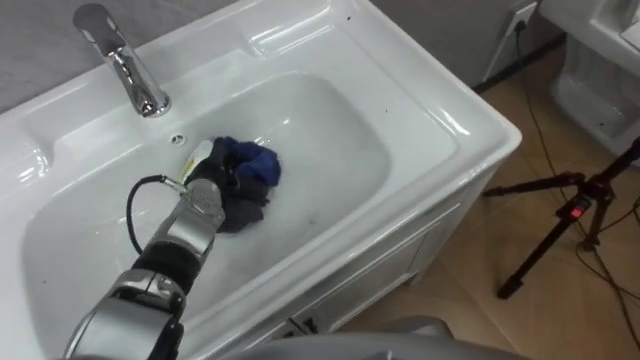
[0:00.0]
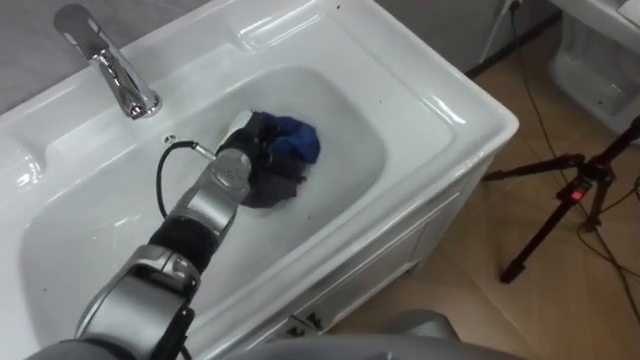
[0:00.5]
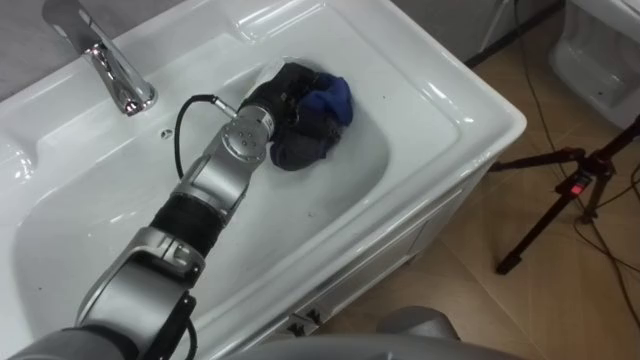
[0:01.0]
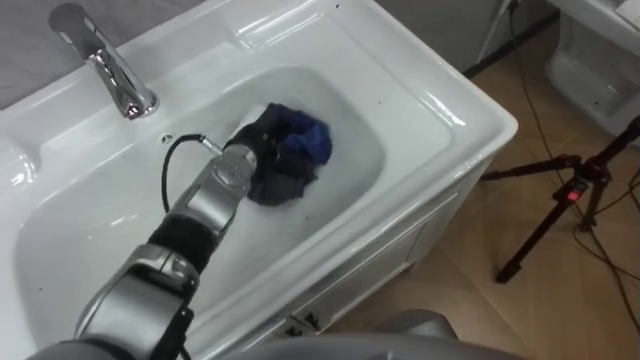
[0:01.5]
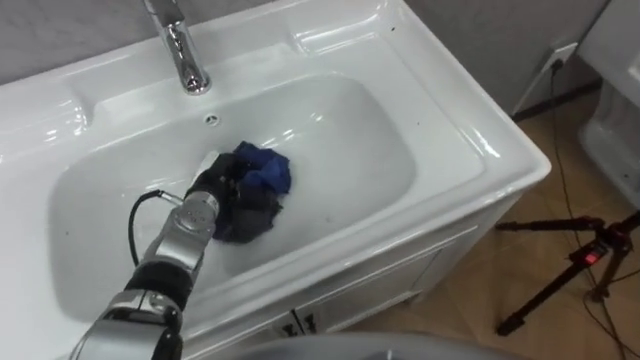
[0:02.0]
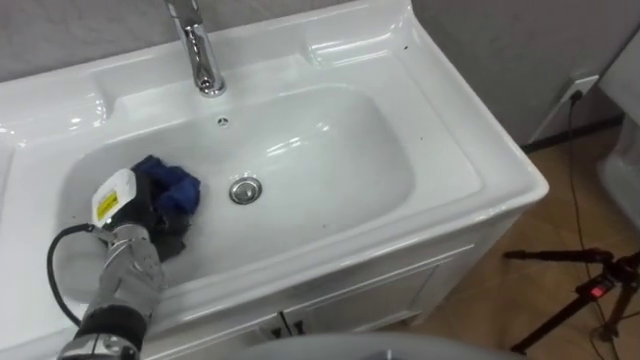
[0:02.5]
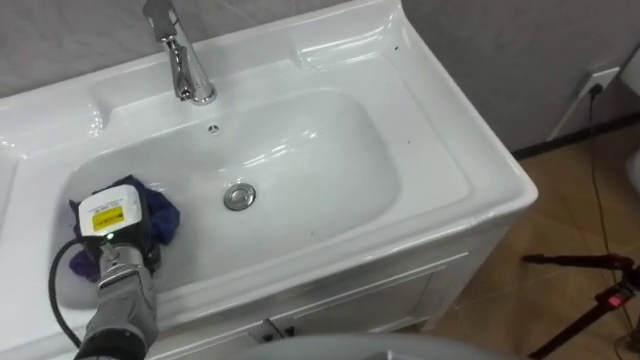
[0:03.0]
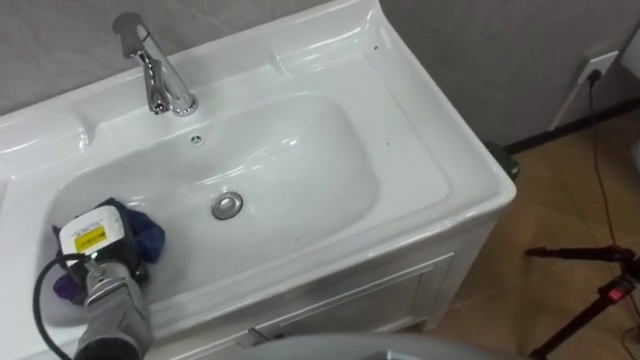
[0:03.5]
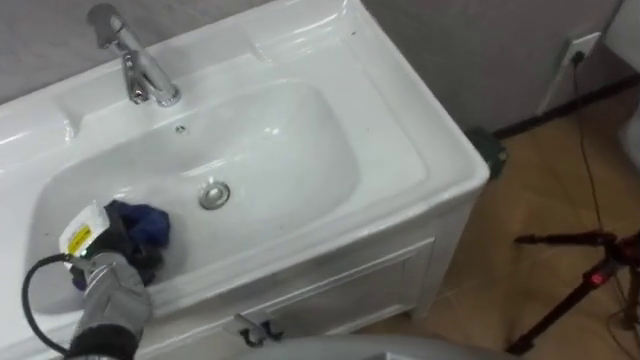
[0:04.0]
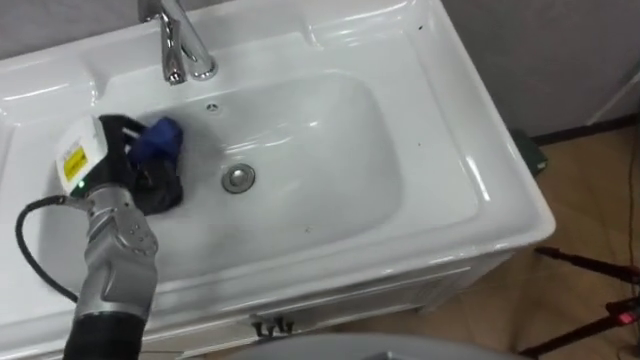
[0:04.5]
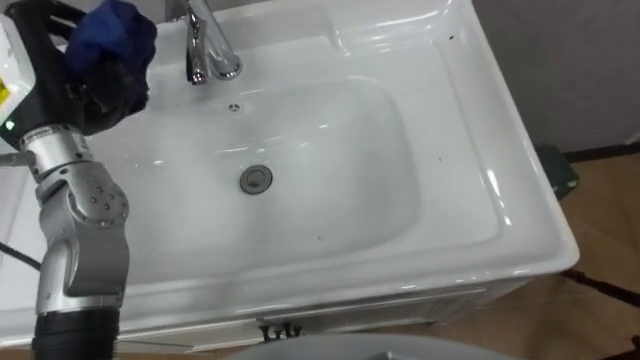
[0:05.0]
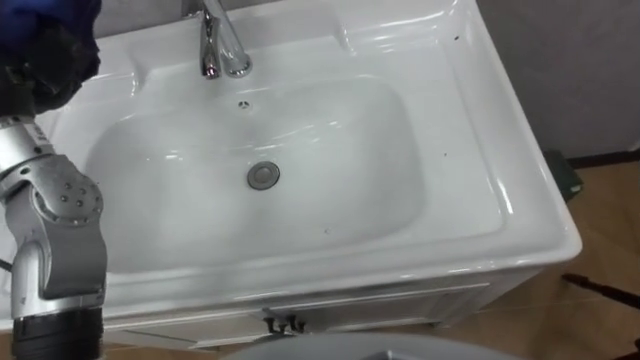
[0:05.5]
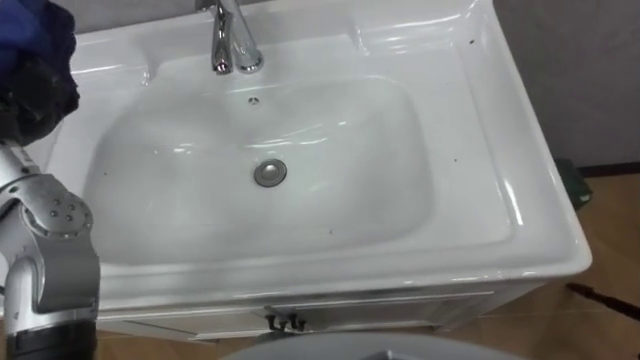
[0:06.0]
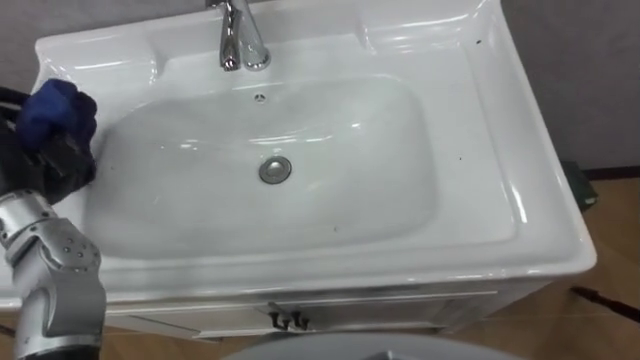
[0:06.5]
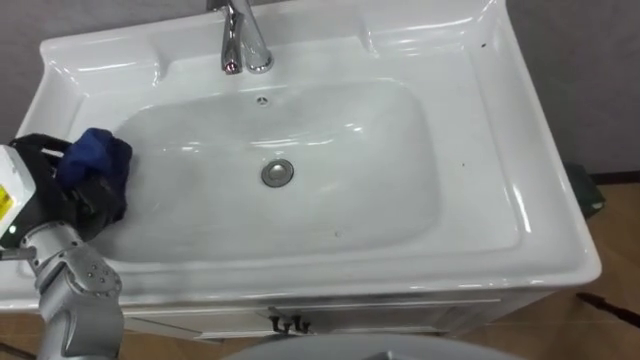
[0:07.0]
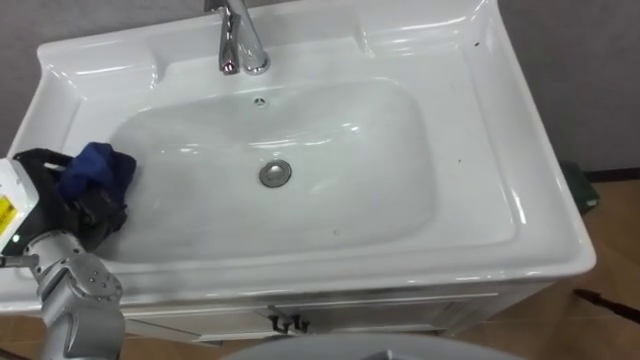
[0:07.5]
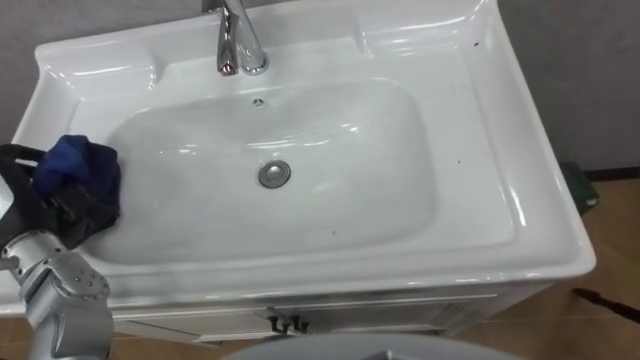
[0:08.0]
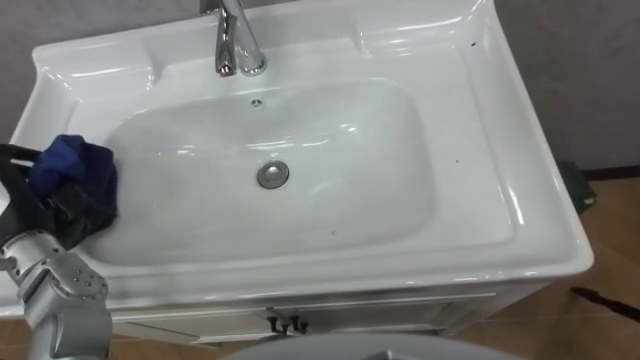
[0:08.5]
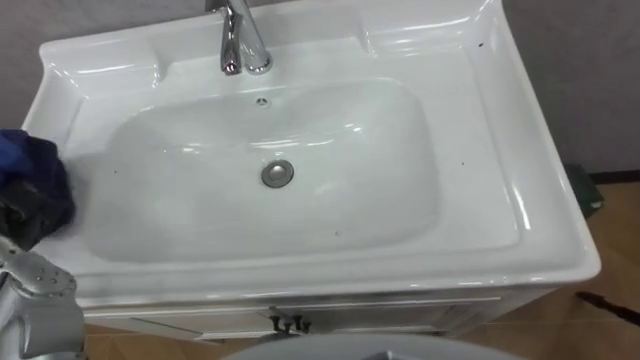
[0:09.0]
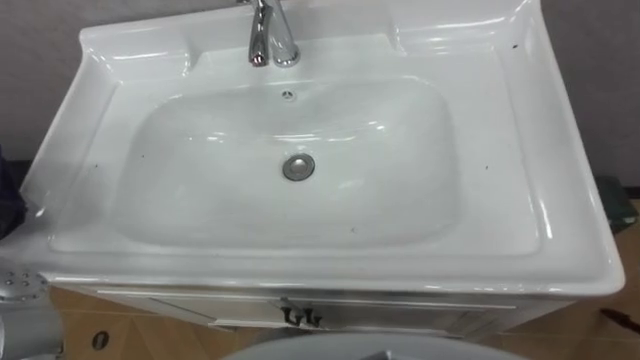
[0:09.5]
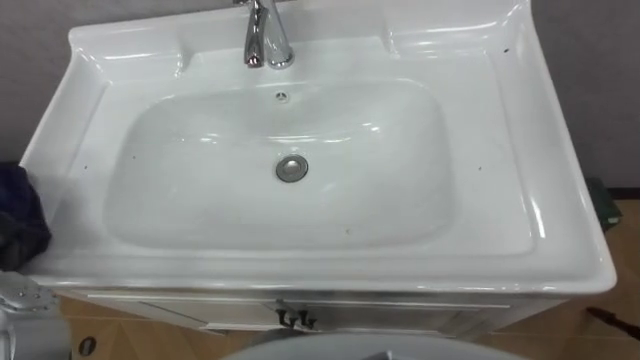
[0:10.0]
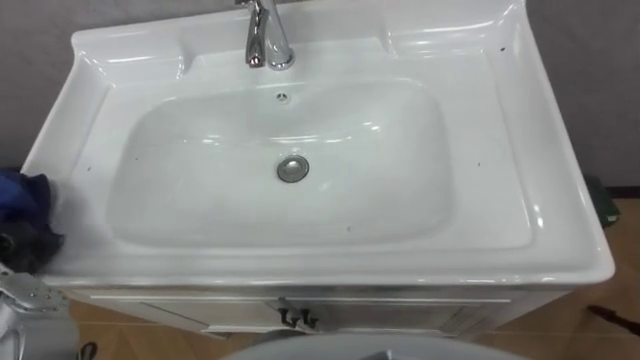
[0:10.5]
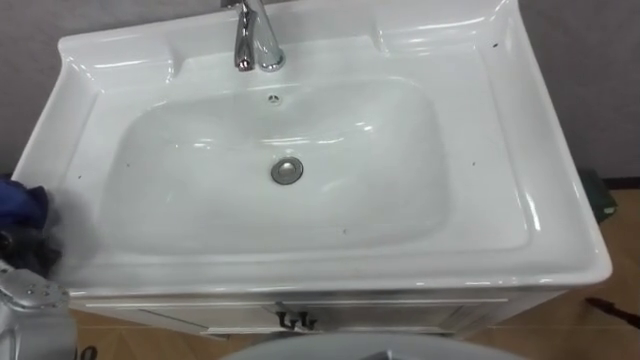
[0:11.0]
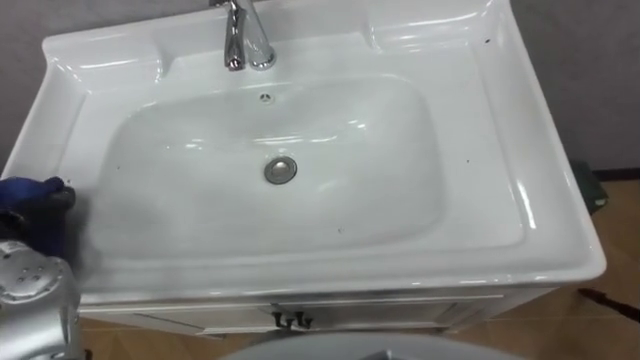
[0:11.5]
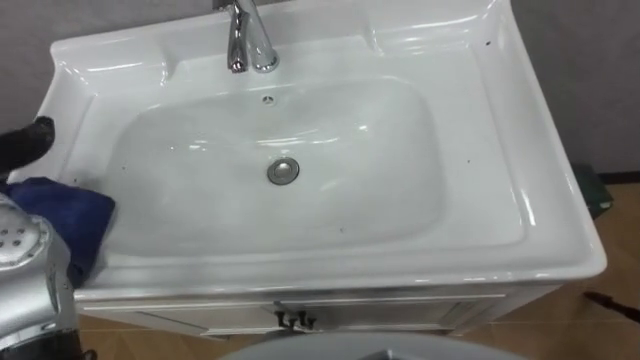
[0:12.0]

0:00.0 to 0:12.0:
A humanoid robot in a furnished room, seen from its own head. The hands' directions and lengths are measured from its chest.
Task of the whole recording: Use the cloth on the right to wipe away the black stain in the sink.
0:00.0 to 0:02.0: The left hand goes upward and returns, some 10 cm each way.
0:02.0 to 0:04.0: The left hand shifts roughly 20 cm to the left and backward.

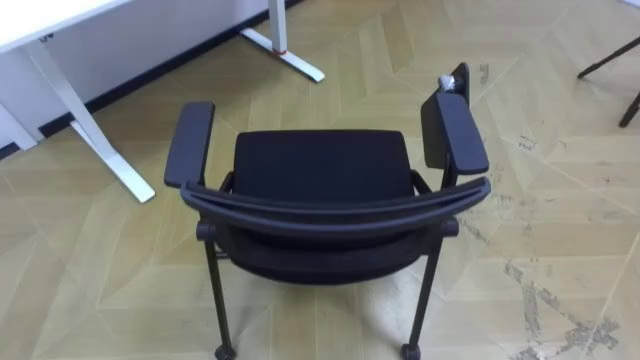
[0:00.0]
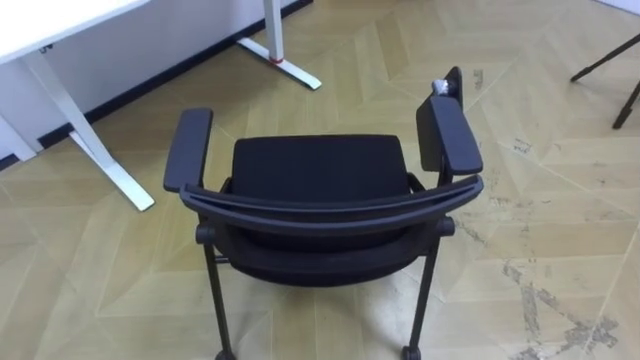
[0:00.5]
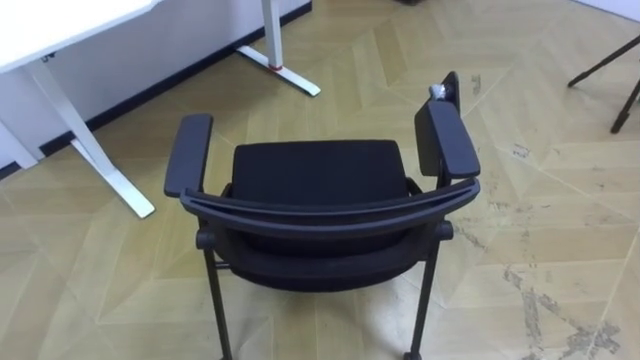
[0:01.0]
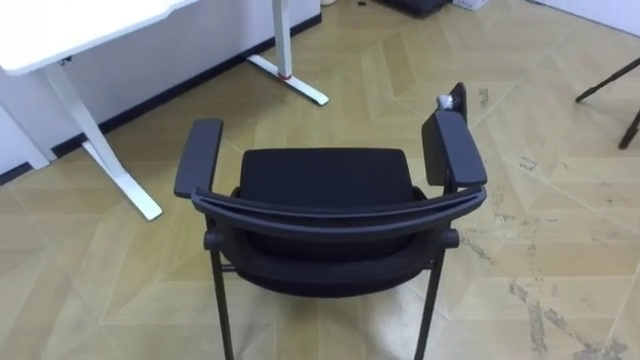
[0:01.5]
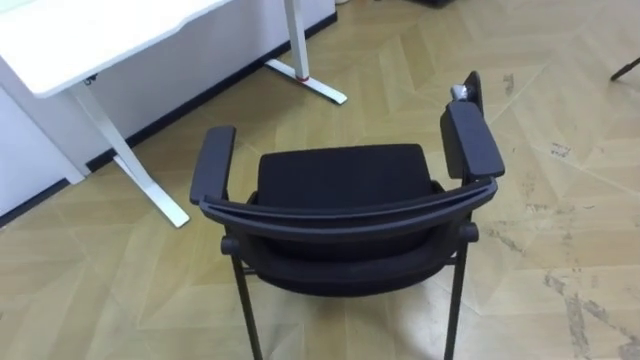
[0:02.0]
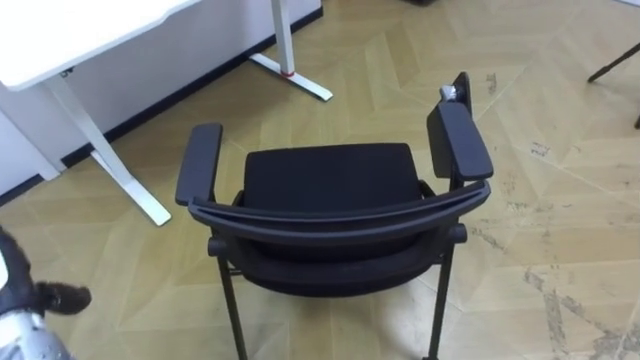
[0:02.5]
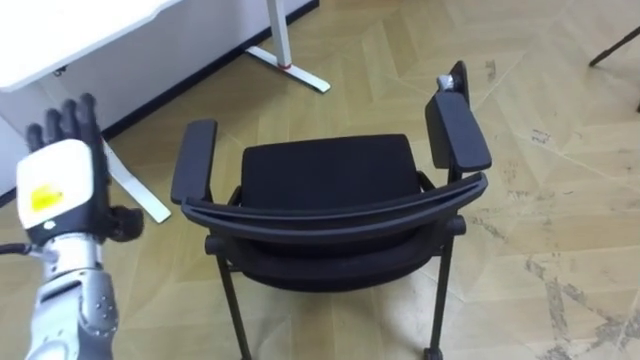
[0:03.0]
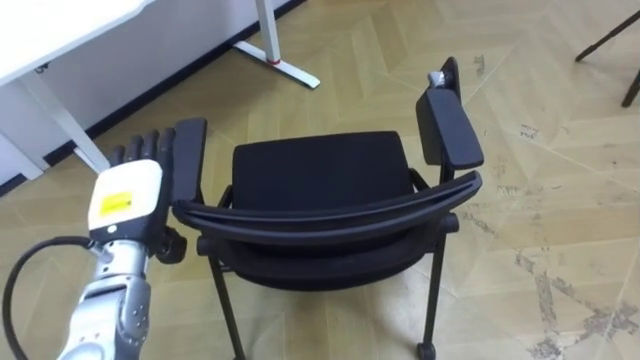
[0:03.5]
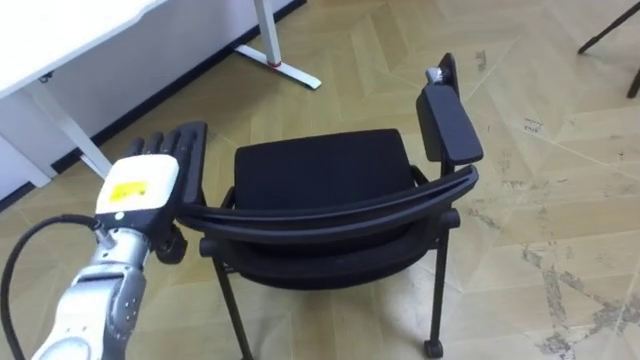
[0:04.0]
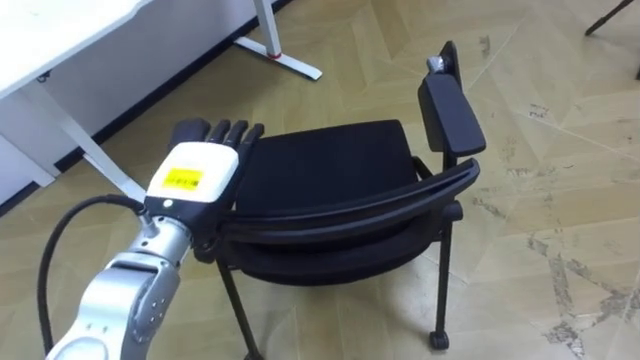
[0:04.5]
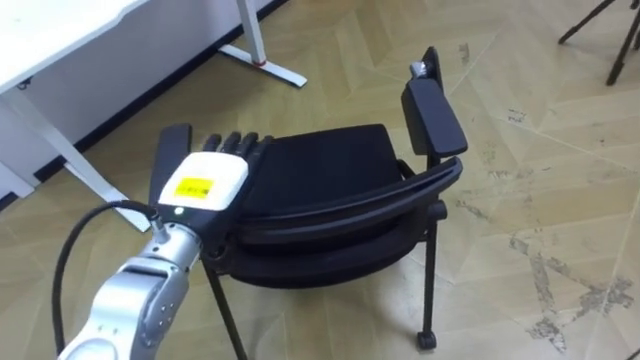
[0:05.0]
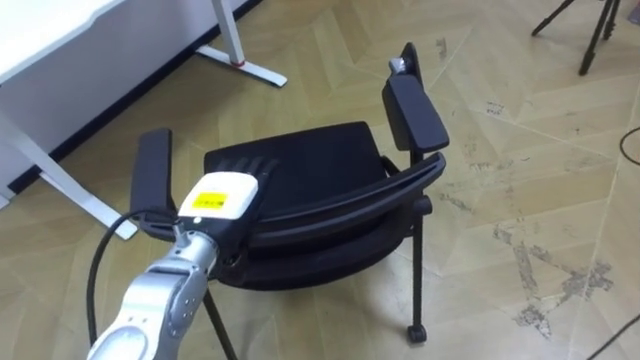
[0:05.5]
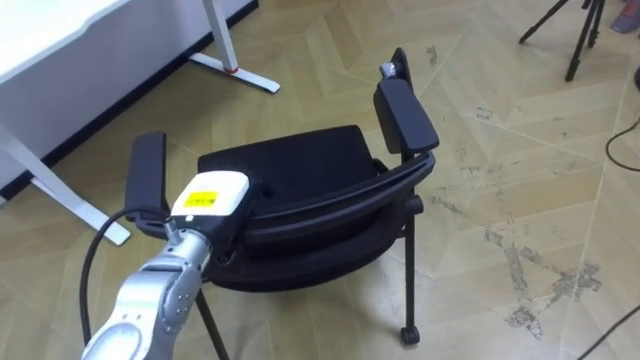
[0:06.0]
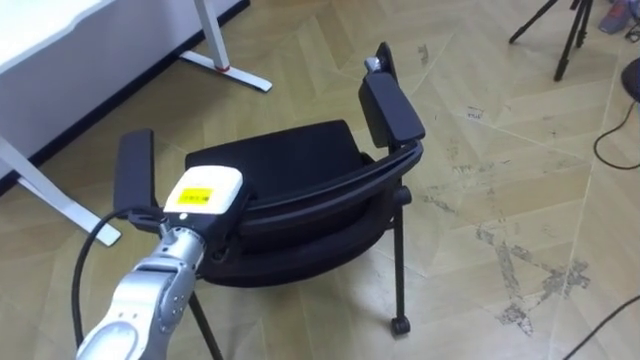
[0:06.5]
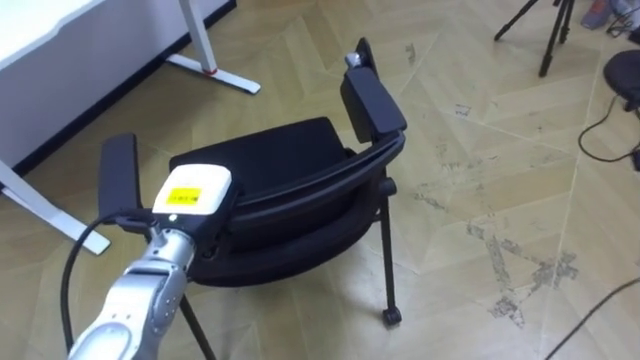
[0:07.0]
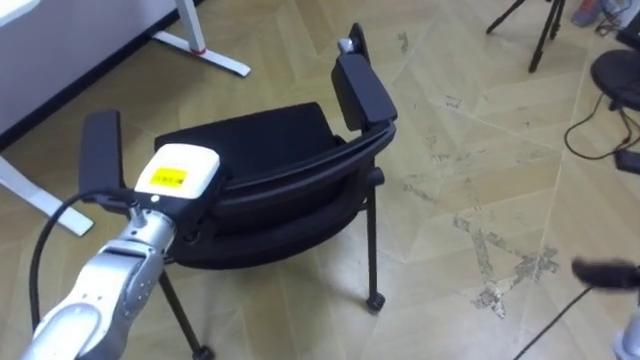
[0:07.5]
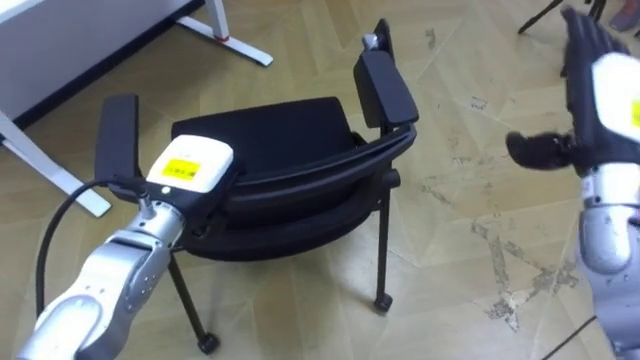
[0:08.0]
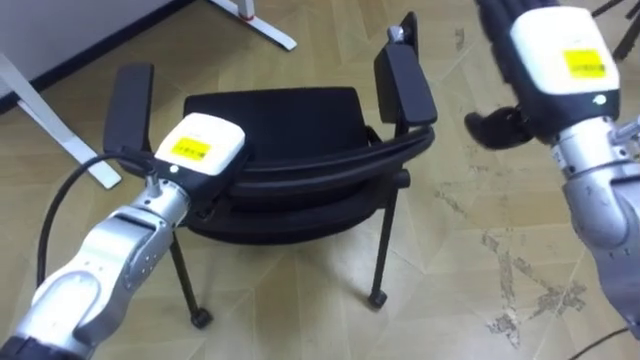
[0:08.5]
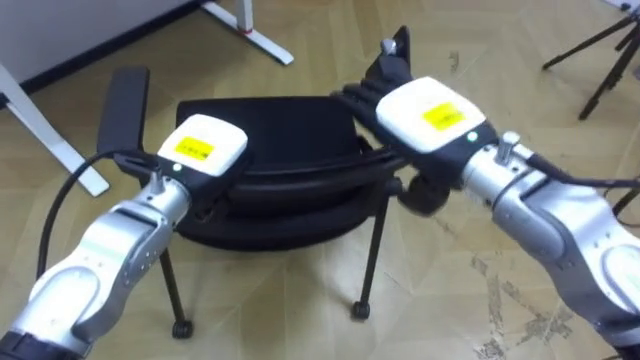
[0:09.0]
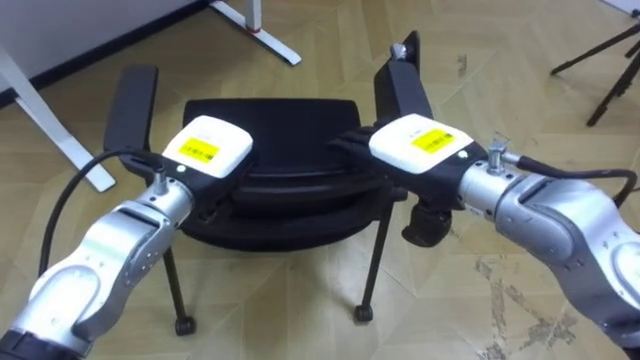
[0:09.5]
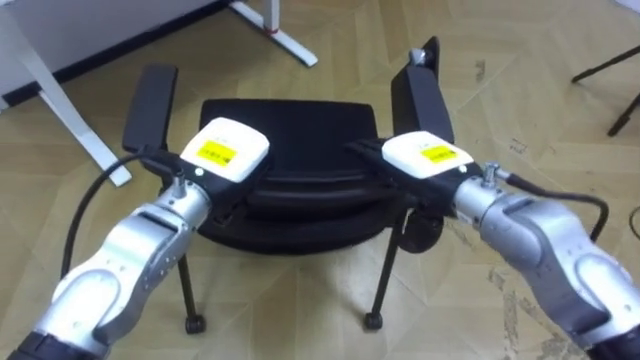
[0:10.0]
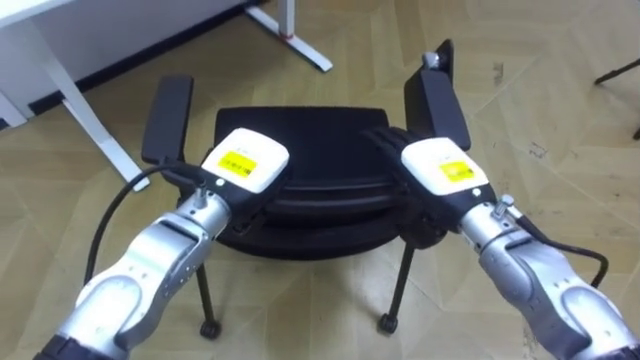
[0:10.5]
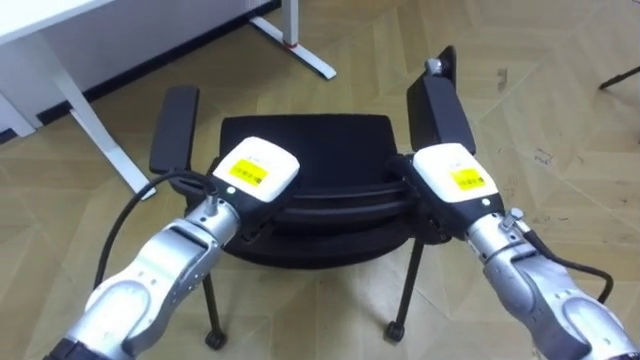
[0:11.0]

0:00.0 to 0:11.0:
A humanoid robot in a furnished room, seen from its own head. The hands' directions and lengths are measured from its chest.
Task of the whole recording: Push the chair under the table.
0:03.5 to 0:05.5: The left hand heads to the right, covering about 10 cm.
0:05.5 to 0:07.5: The left hand ends up some 5 cm from where it was, and closes up.
0:09.0 to 0:11.0: The right hand goes some 10 cm downward, and closes its fingers; the left hand goes roughly 5 cm to the right.
